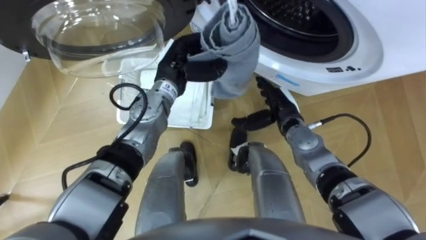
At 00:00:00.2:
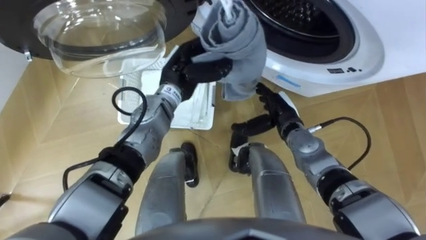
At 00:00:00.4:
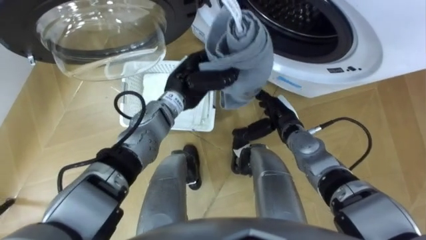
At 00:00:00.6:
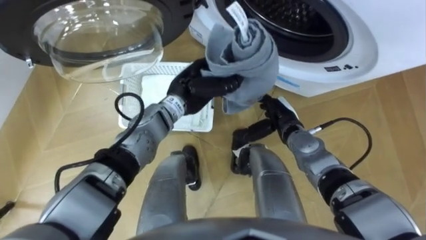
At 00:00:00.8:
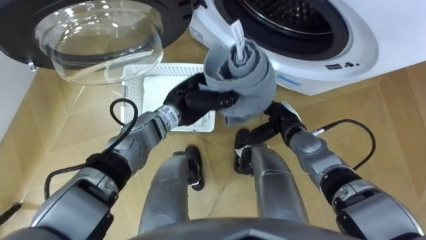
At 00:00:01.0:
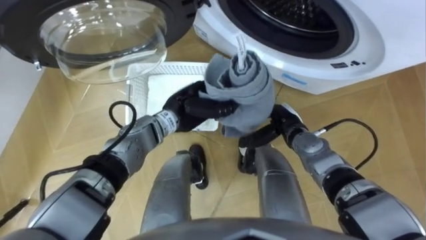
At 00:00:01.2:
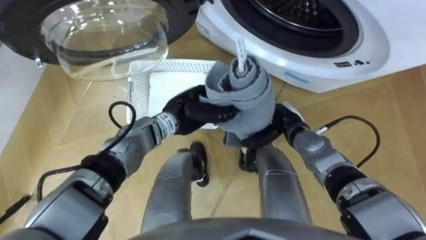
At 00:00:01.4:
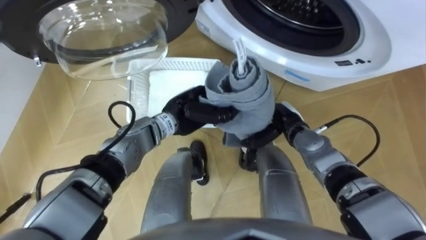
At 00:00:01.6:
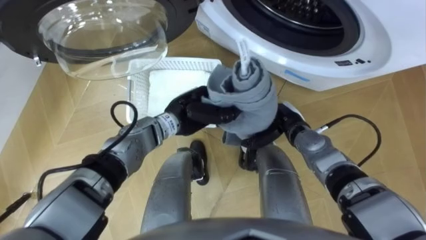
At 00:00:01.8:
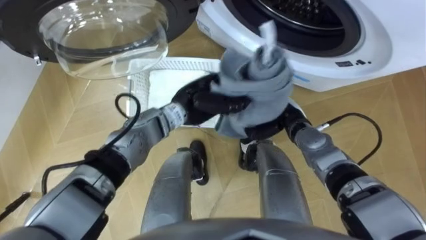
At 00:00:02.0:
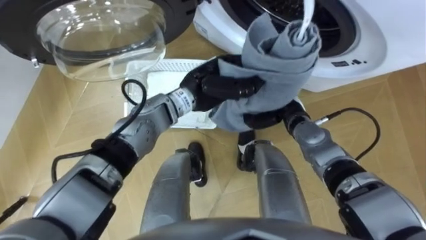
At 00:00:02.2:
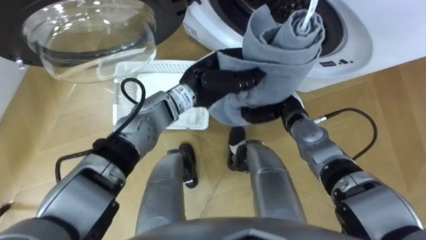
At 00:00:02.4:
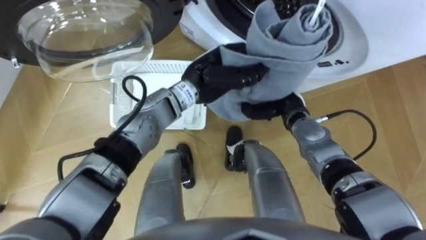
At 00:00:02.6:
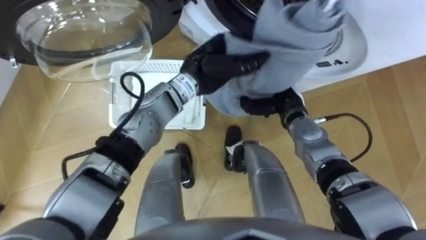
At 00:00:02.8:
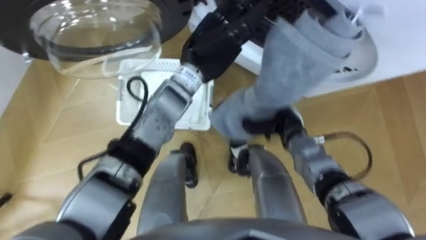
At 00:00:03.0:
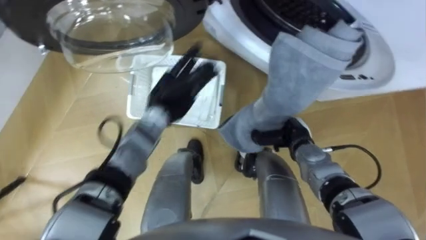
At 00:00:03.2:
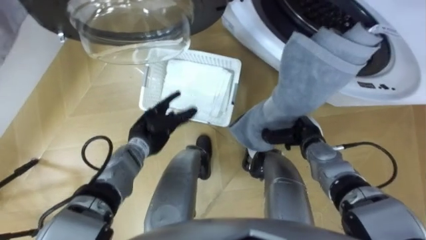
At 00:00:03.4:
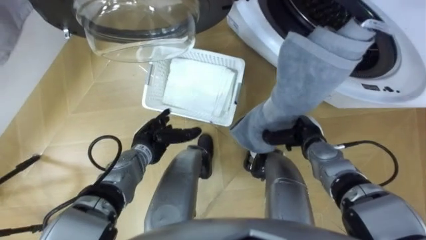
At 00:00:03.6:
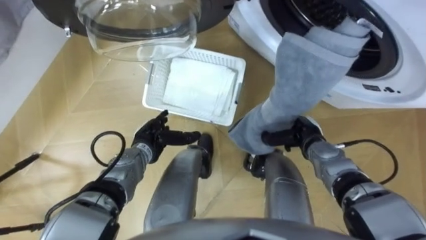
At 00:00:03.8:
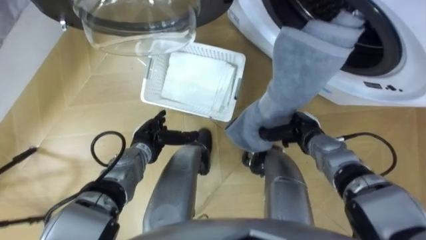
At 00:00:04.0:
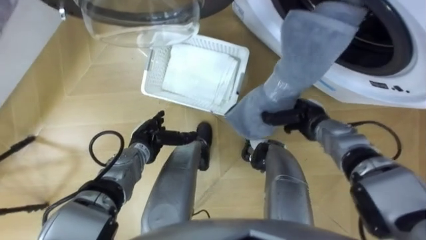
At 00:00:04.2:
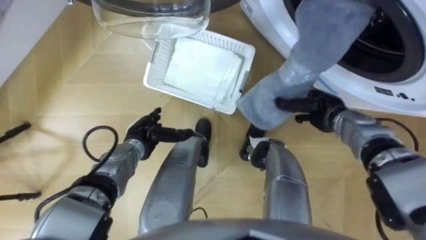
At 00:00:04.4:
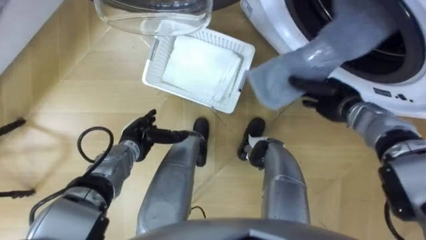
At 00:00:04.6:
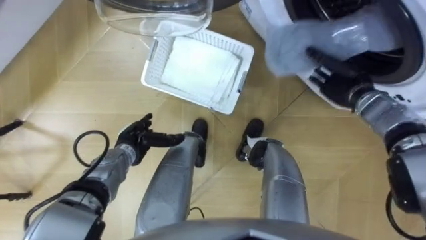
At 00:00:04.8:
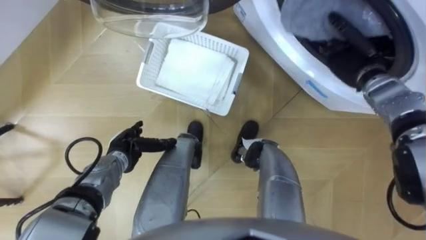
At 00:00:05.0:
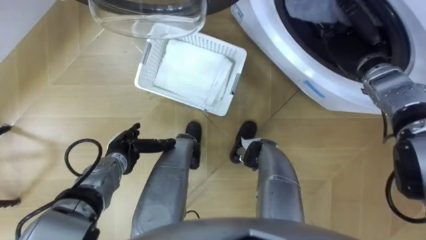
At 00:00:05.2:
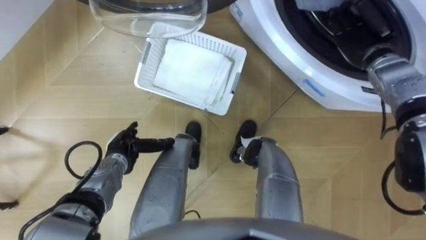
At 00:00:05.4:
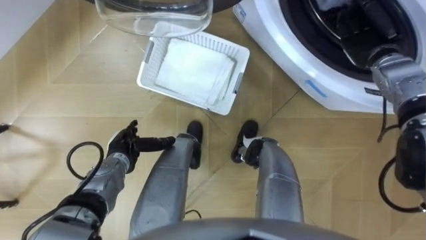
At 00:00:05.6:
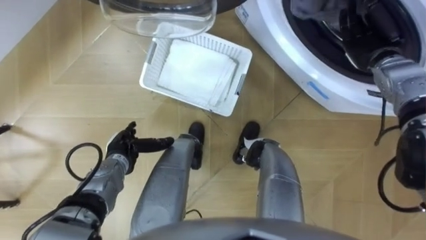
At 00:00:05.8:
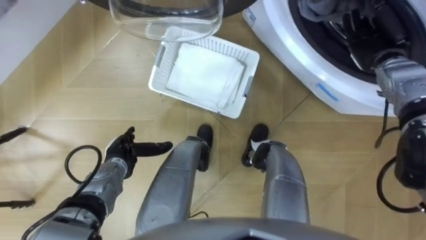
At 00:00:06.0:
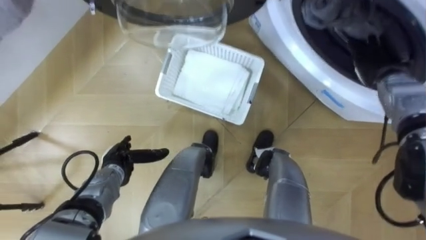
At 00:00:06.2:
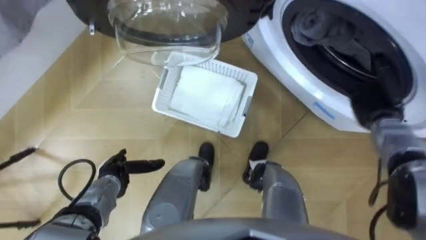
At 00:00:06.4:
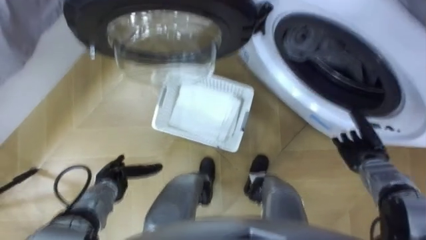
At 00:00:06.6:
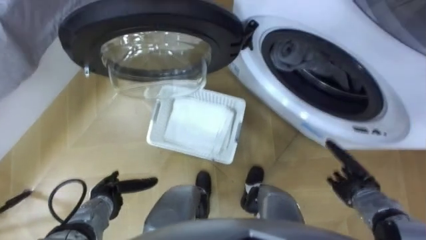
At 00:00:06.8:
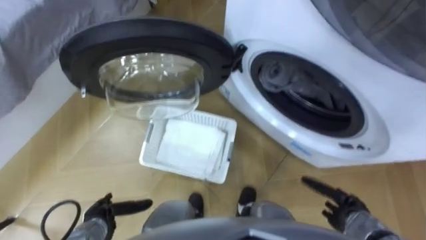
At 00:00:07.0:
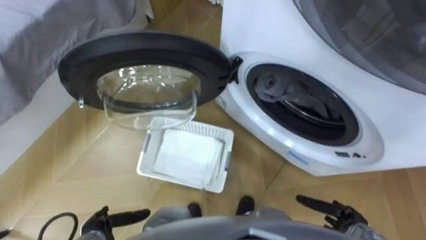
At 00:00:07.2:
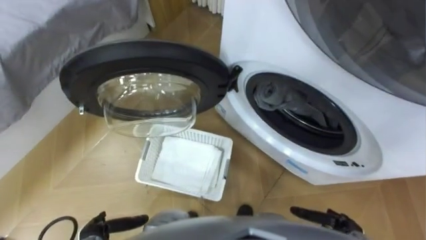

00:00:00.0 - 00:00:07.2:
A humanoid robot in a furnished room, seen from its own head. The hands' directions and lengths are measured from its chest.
Task of the whole recording: Take the towel from the basket and put it into the washing machine.
00:00:00.0 - 00:00:01.4: The left hand shifts roughly 10 cm backward and downward.
00:00:01.4 - 00:00:02.8: The left hand moves upward and forward, some 15 cm, and opens up; the right hand closes its fingers.
00:00:02.8 - 00:00:04.4: The right hand moves to the right, approximately 10 cm; the left hand is displaced downward, to the left and backward by roughly 30 cm, and opens.
00:00:04.4 - 00:00:05.8: The right hand moves upward, forward and to the right, roughly 15 cm, and opens; the left hand changes place by roughly 5 cm.
00:00:05.8 - 00:00:07.2: The right hand heads backward and downward, covering roughly 40 cm. Meanwhile the left hand travels backward by approximately 20 cm.
